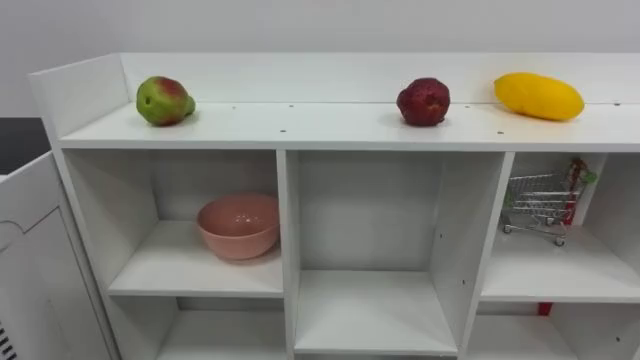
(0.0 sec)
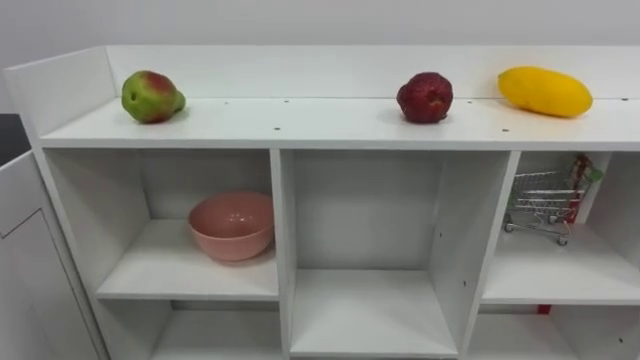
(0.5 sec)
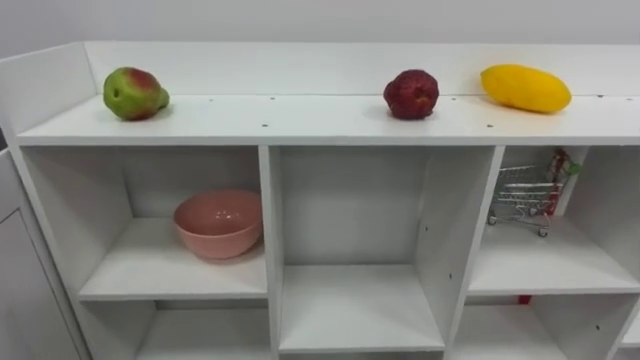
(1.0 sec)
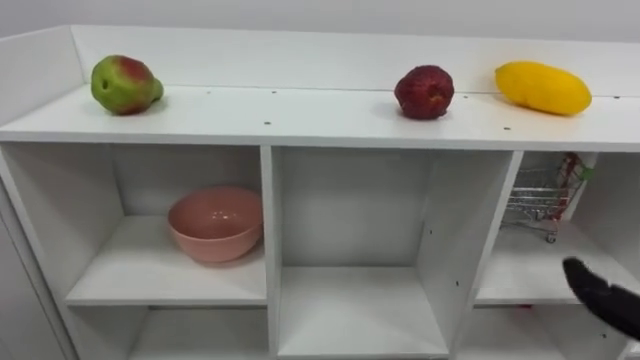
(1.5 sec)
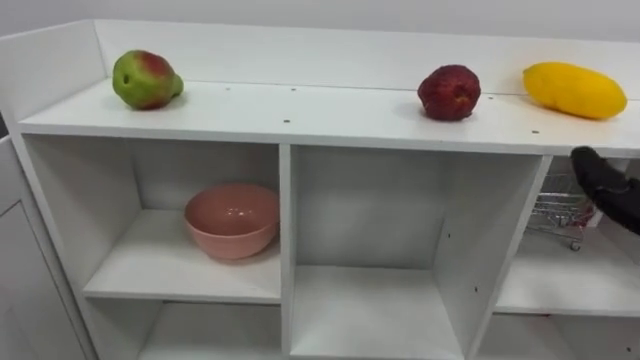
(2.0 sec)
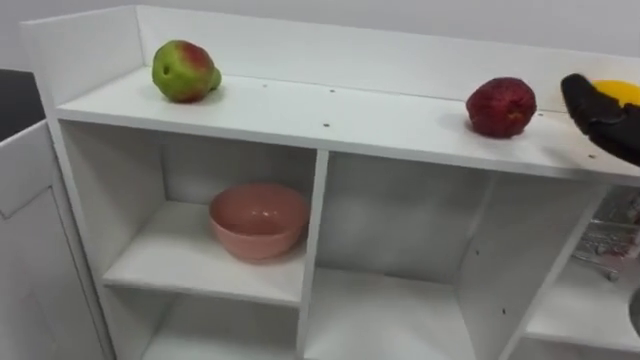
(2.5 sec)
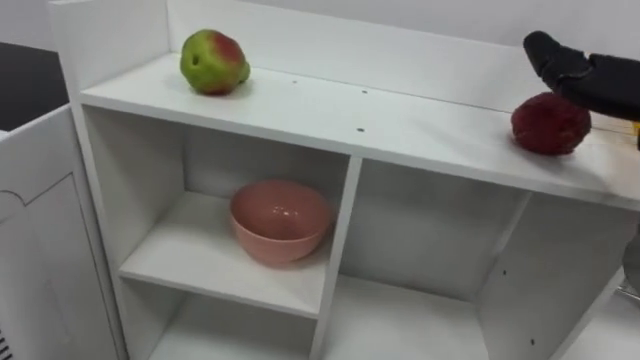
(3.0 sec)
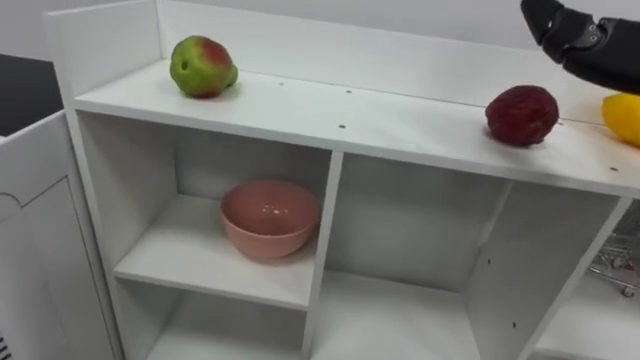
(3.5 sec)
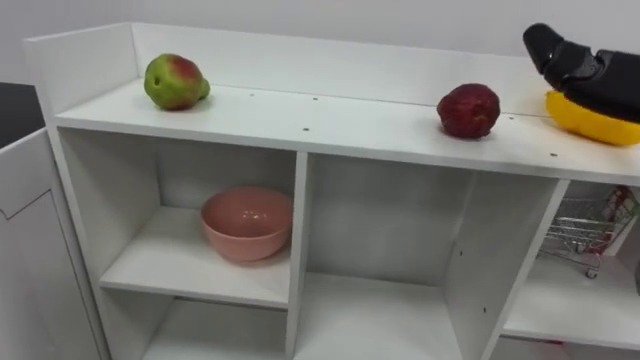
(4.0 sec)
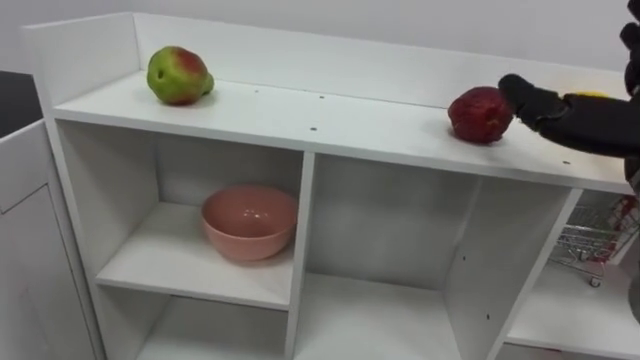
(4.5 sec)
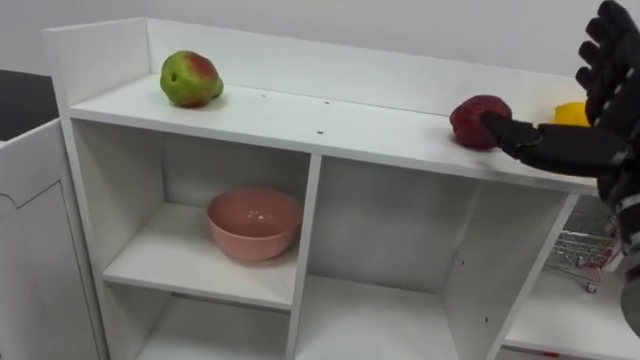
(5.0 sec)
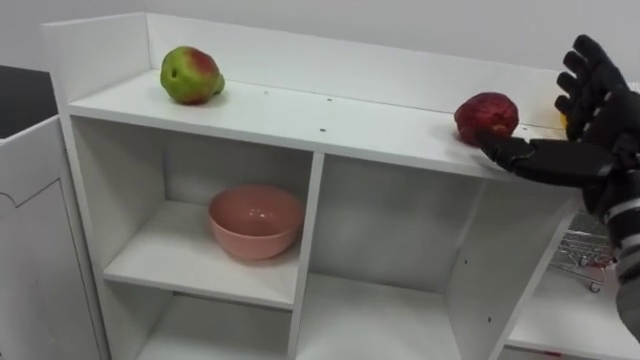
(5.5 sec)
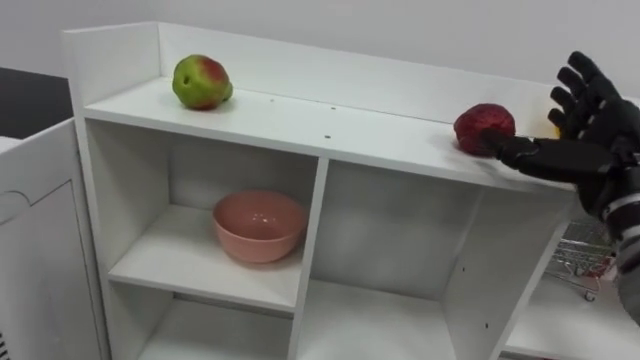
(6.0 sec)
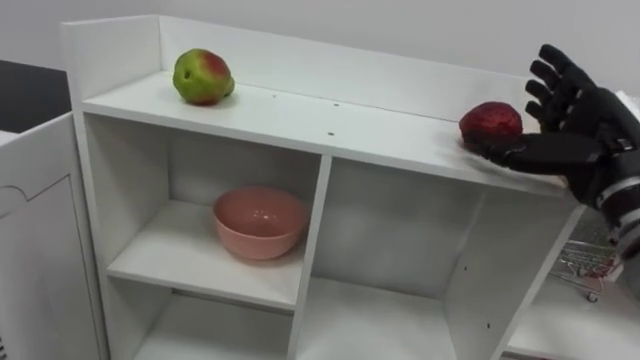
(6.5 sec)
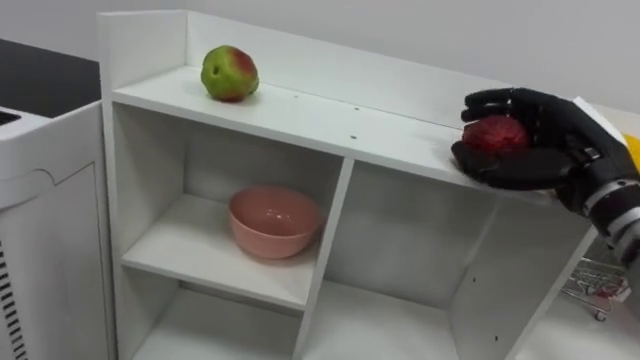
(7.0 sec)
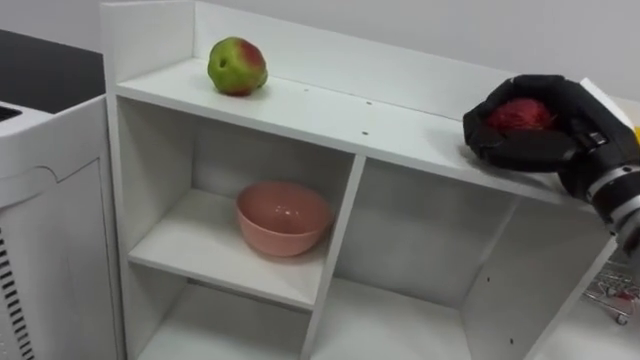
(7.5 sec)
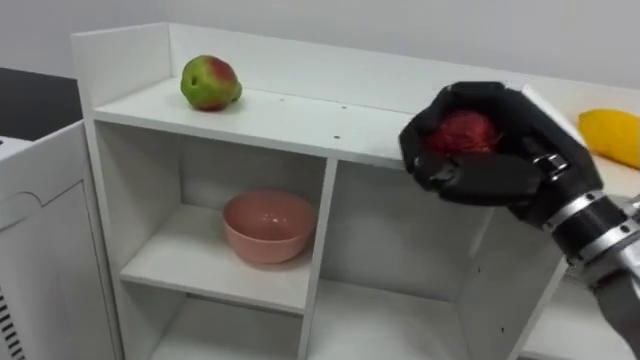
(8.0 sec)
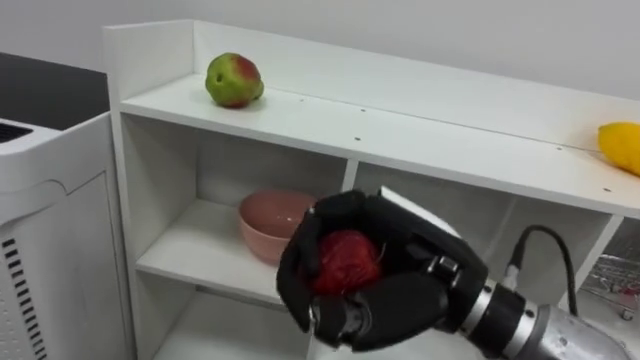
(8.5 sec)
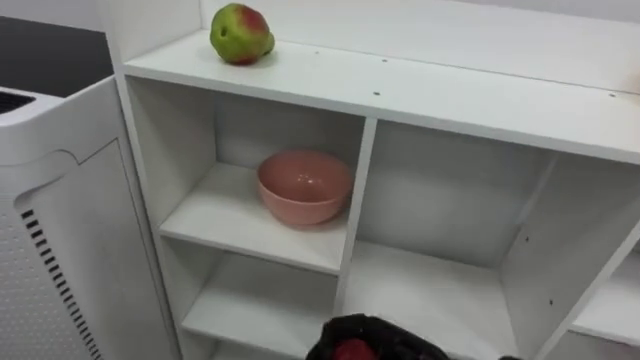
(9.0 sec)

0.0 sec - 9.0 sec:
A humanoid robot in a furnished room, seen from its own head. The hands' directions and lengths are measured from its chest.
Task of the whole recording: Put the apple in the cell in the second column from the left and the second row from the top.
7.0 sec - 9.0 sec: The right hand shifts roughly 25 cm downward, to the left and backward.

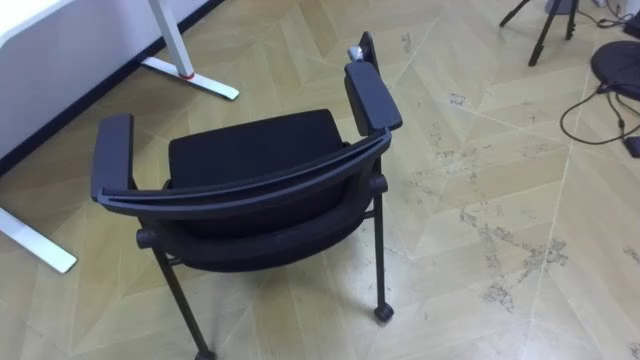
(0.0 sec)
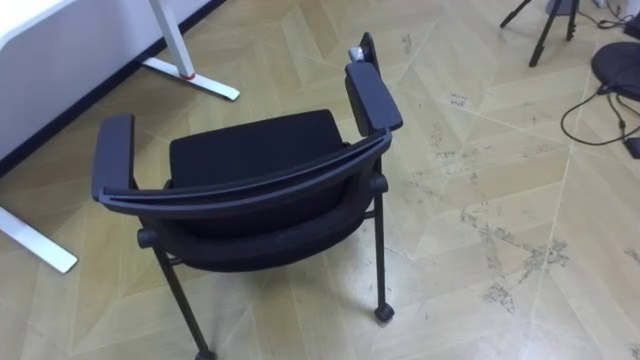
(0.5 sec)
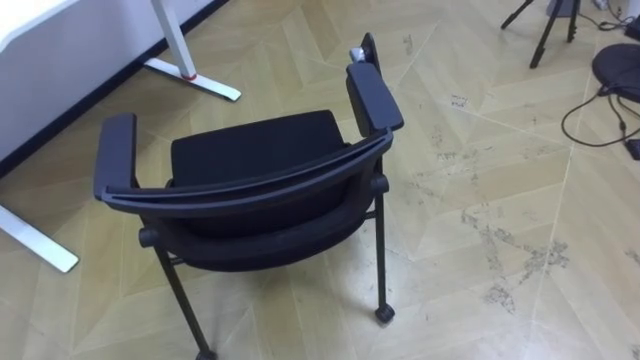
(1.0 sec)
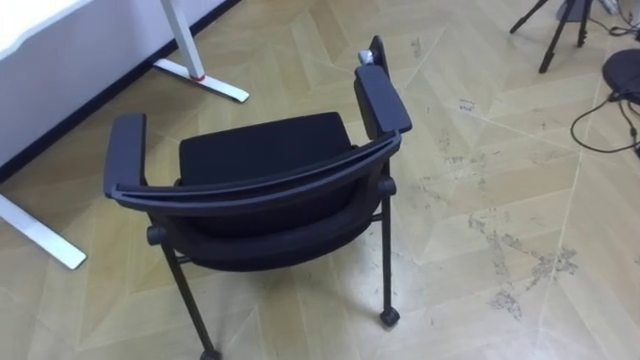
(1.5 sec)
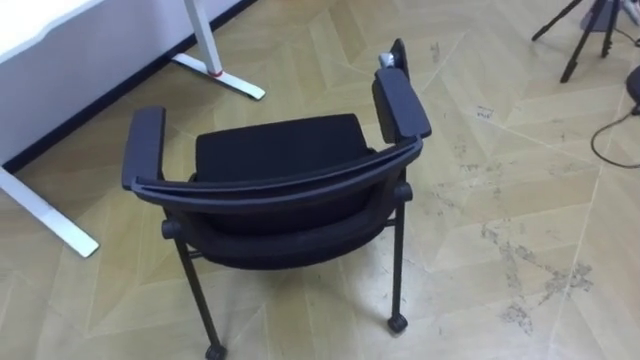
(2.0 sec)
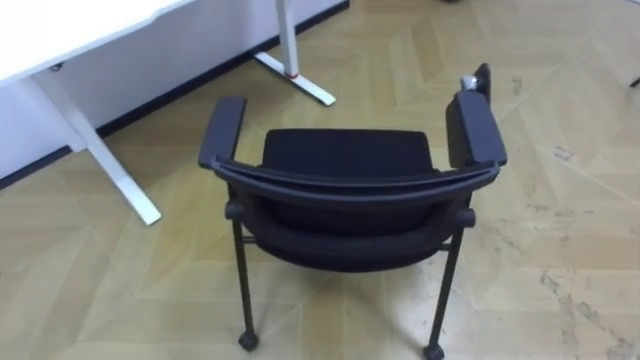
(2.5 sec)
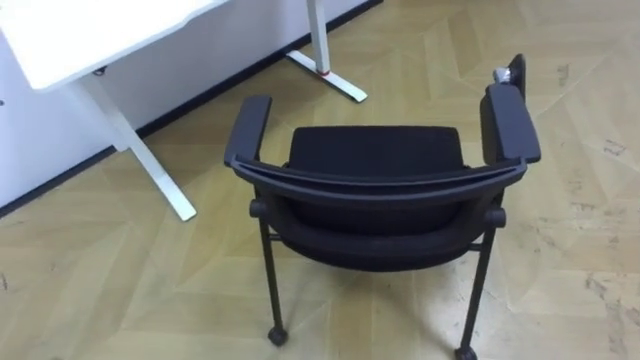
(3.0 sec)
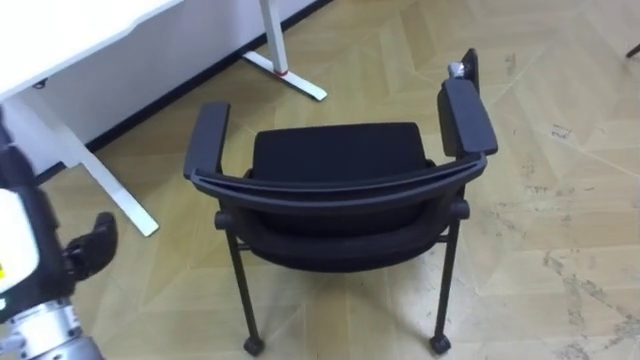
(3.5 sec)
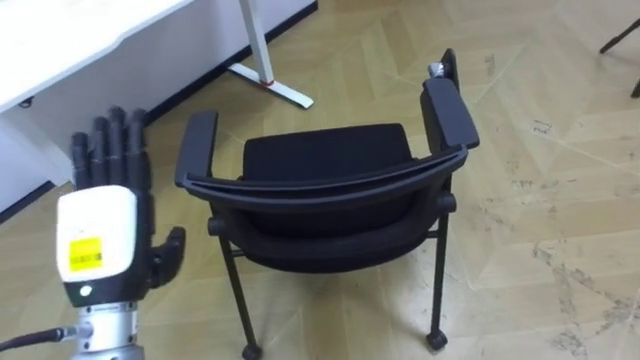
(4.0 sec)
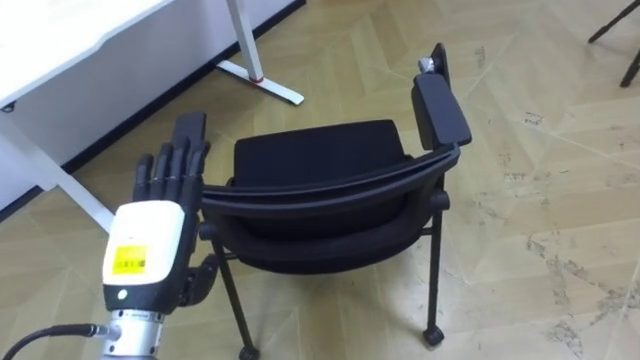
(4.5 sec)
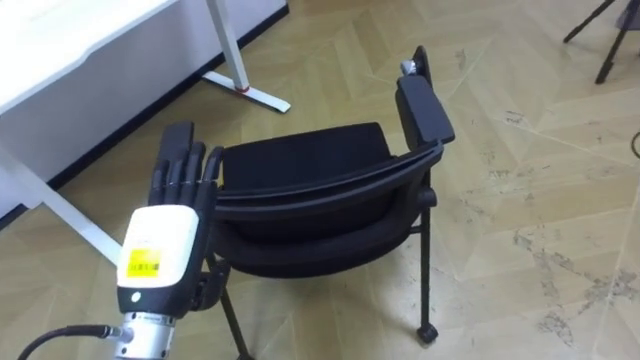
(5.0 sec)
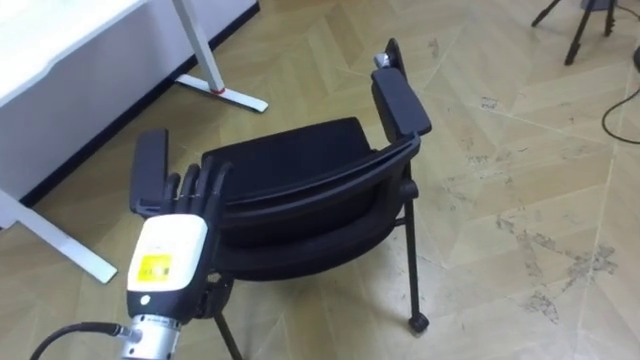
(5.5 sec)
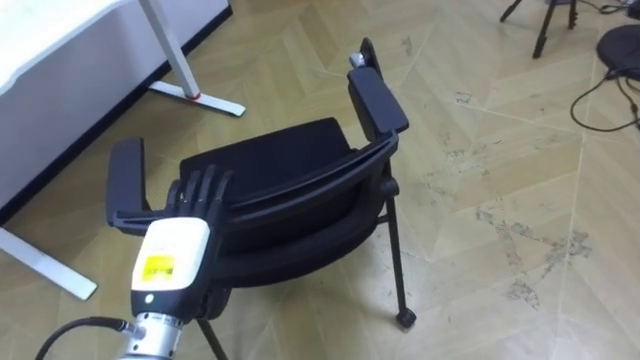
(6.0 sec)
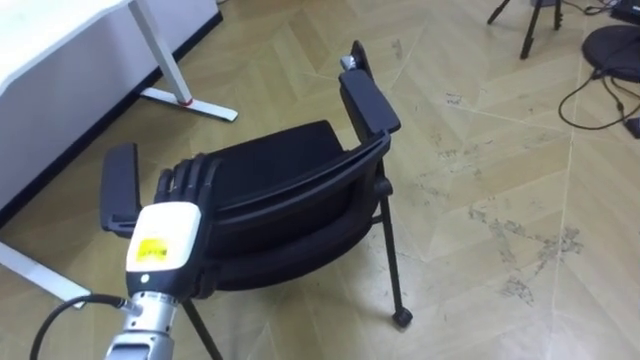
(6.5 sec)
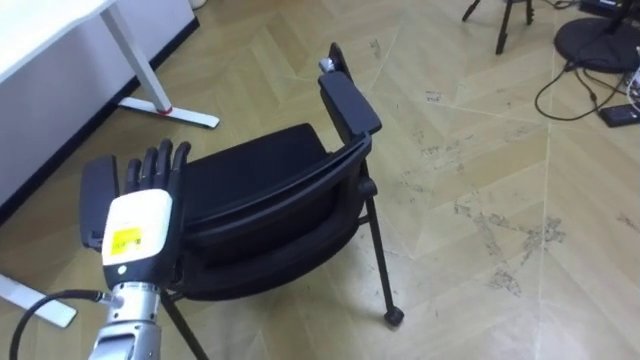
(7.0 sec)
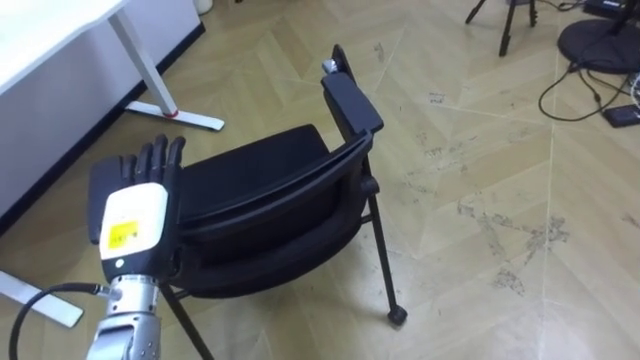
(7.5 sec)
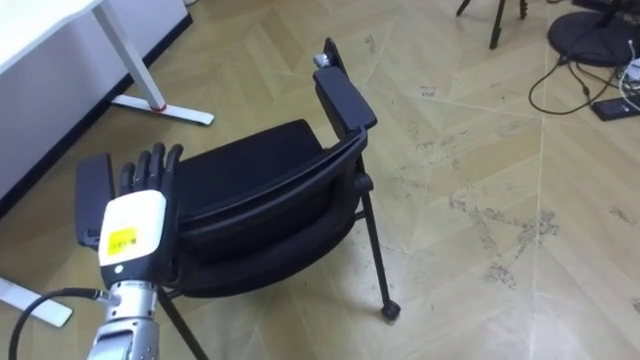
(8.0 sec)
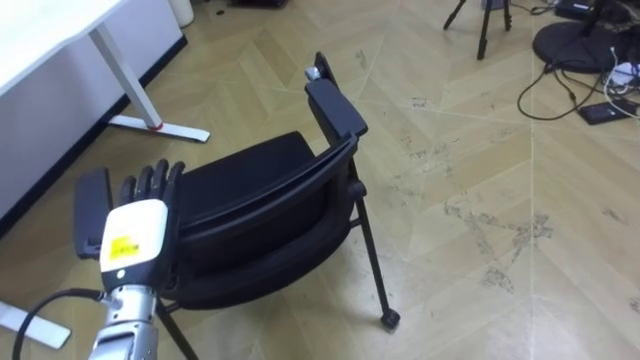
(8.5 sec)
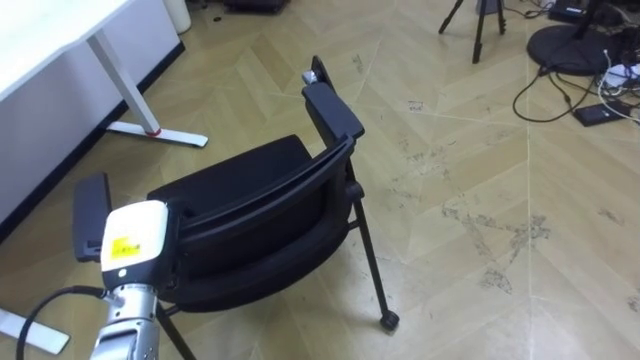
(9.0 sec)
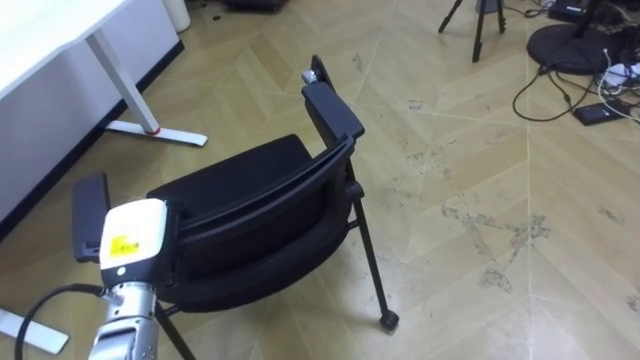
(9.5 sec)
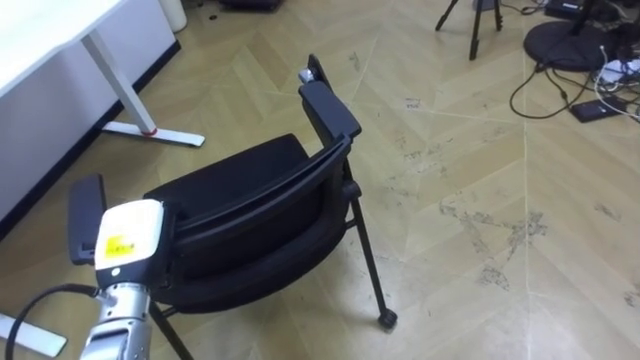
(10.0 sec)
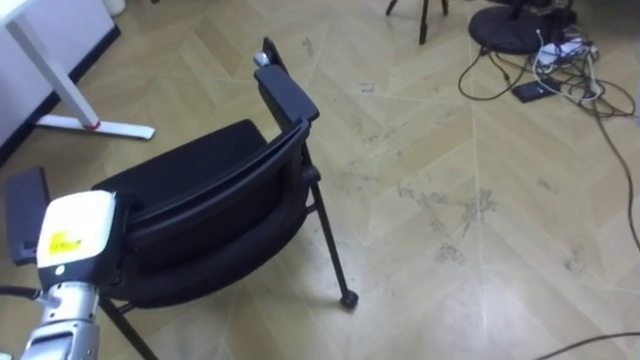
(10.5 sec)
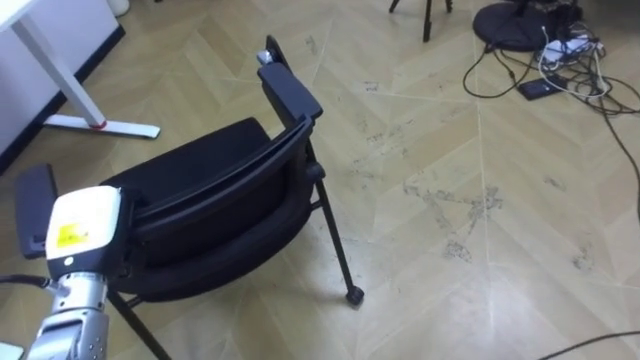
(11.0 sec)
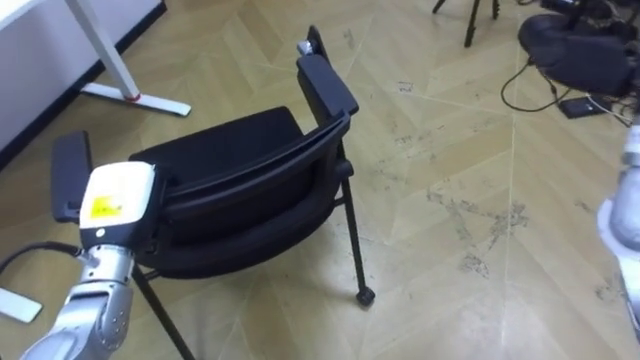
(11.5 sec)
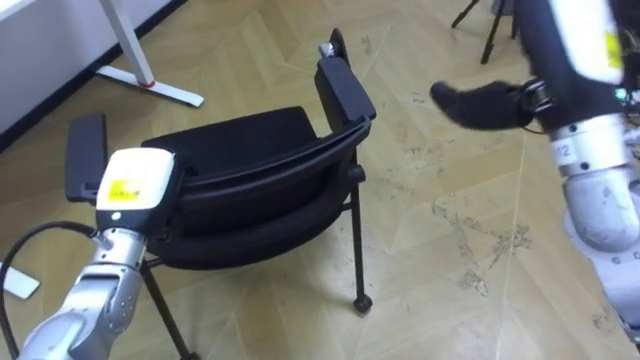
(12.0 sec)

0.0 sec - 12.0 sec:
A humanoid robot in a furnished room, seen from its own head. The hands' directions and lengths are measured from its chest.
Task of the whole recording: Push the chair under the table.
4.0 sec - 6.0 sec: The left hand moves downward and to the right, some 10 cm.
6.0 sec - 8.0 sec: The left hand moves roughly 5 cm.
8.0 sec - 10.0 sec: The left hand closes up.
10.0 sec - 12.0 sec: The left hand moves about 5 cm.
